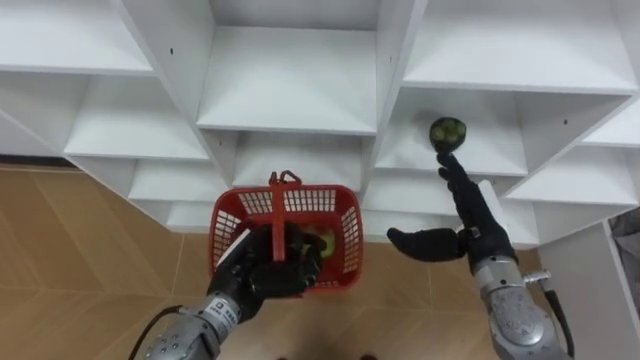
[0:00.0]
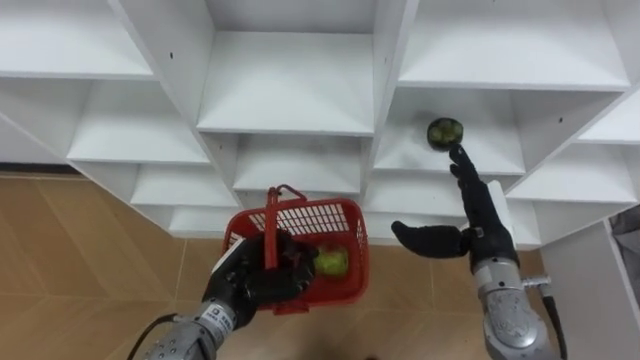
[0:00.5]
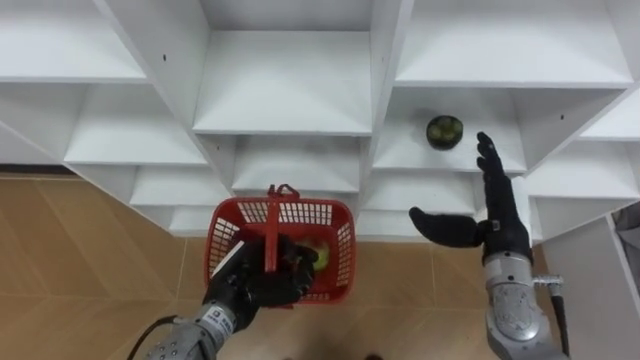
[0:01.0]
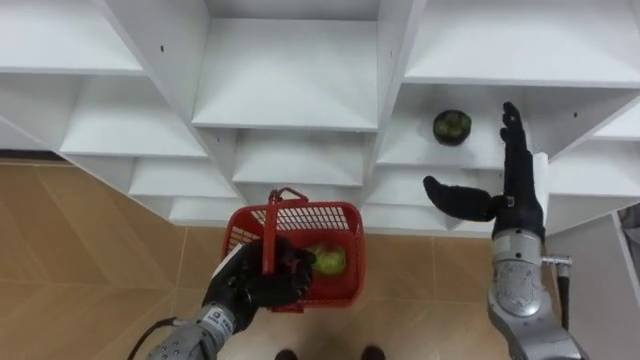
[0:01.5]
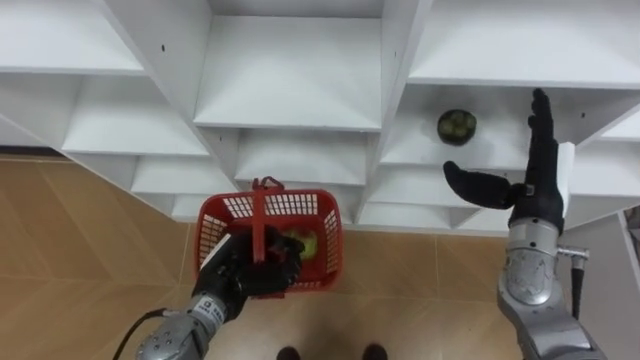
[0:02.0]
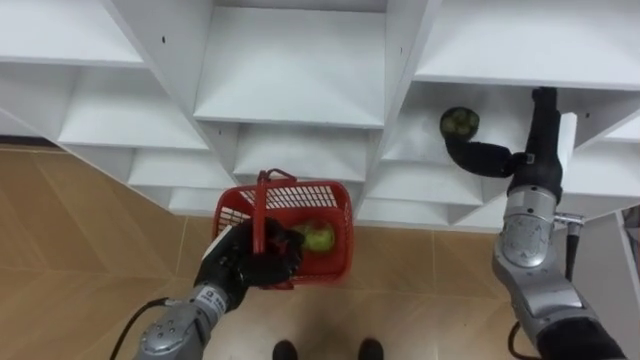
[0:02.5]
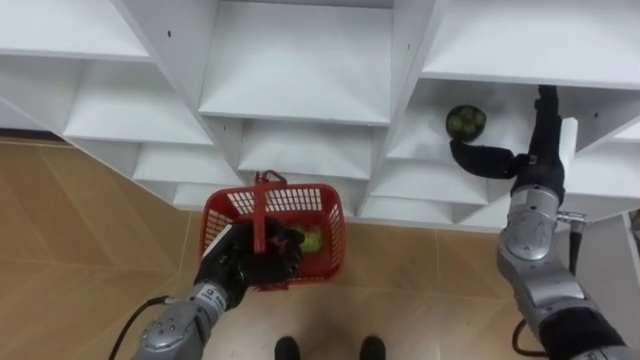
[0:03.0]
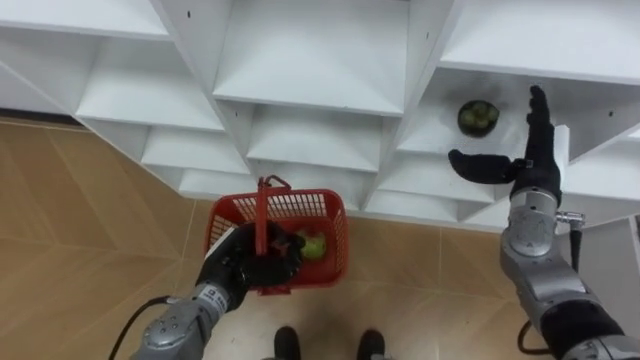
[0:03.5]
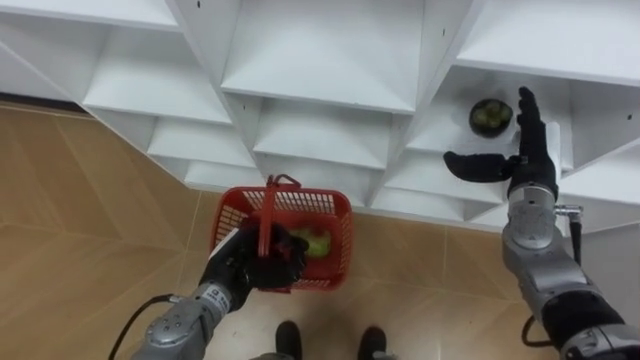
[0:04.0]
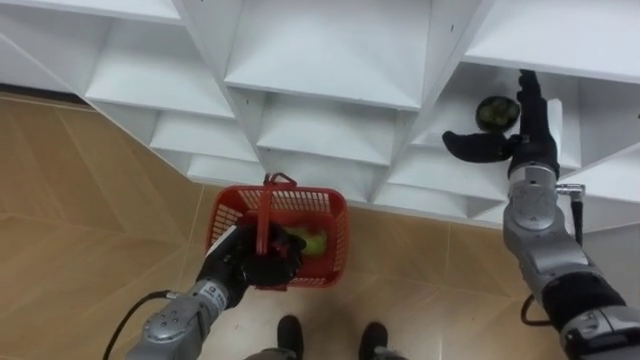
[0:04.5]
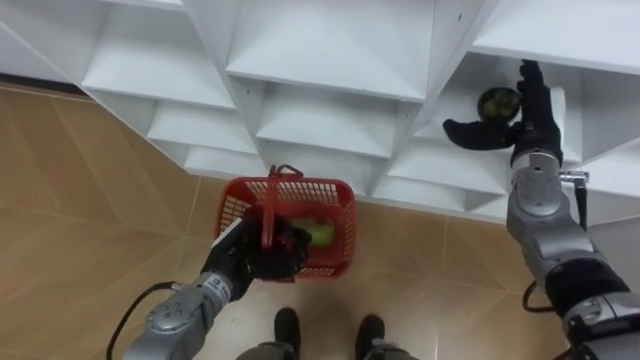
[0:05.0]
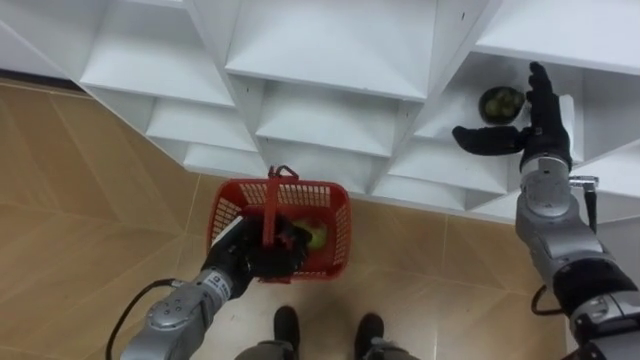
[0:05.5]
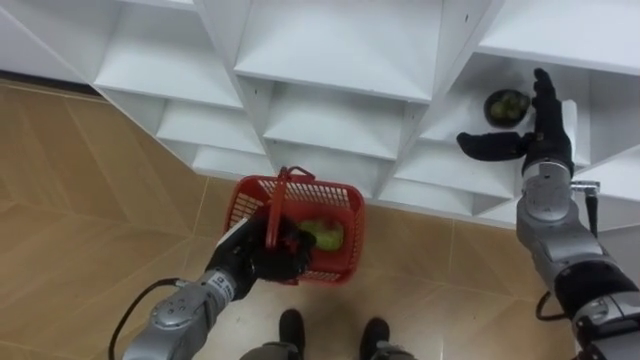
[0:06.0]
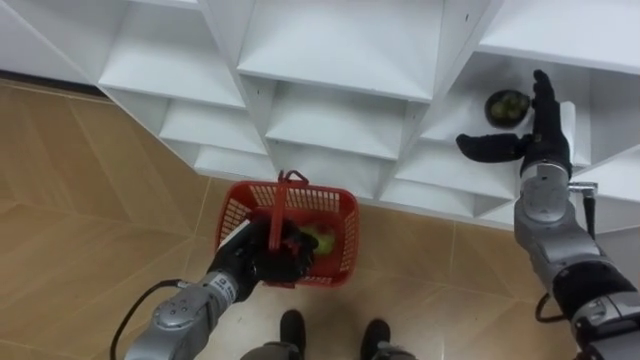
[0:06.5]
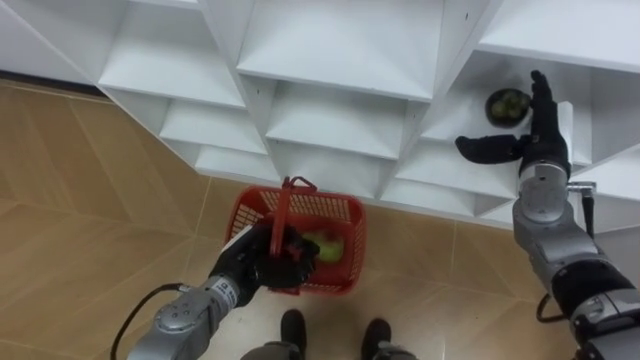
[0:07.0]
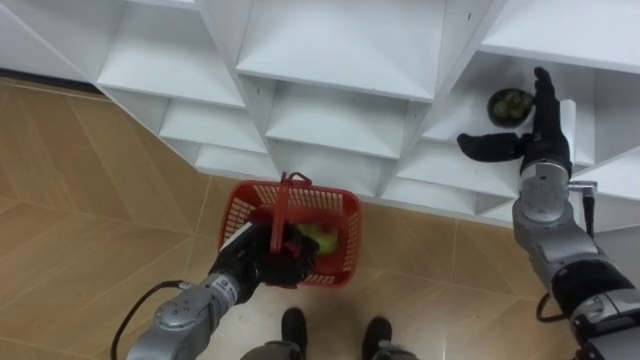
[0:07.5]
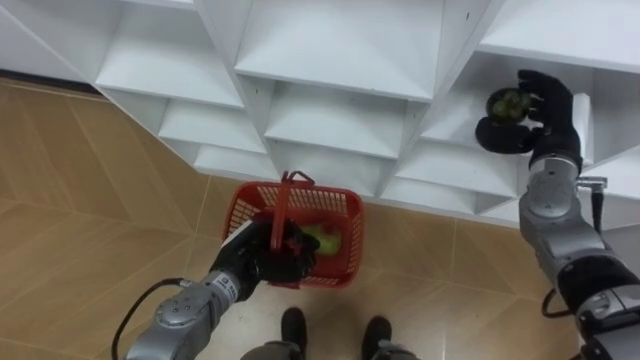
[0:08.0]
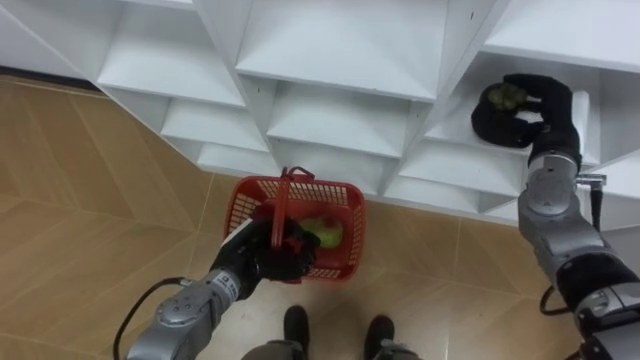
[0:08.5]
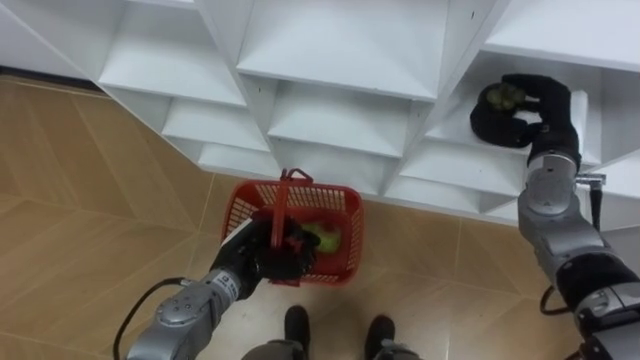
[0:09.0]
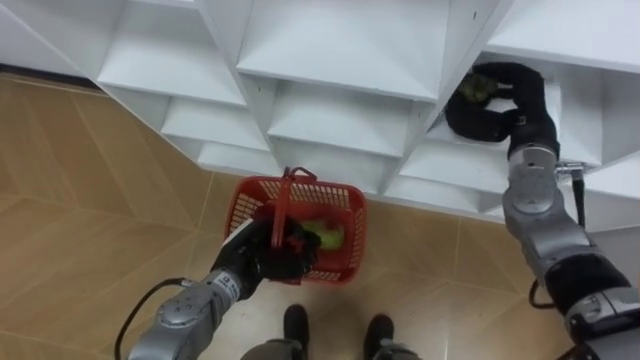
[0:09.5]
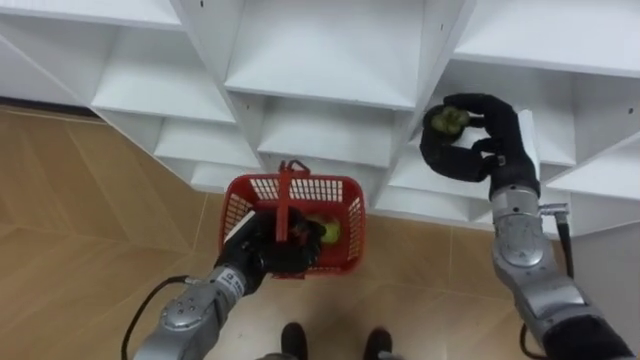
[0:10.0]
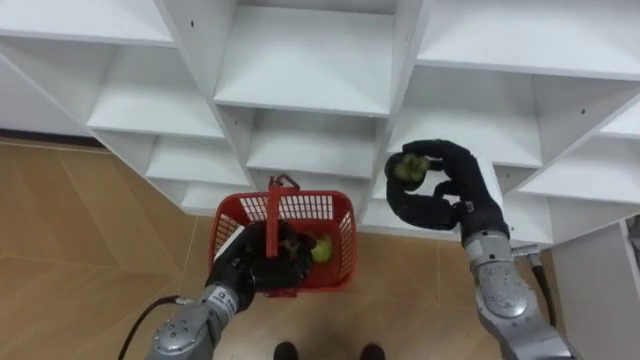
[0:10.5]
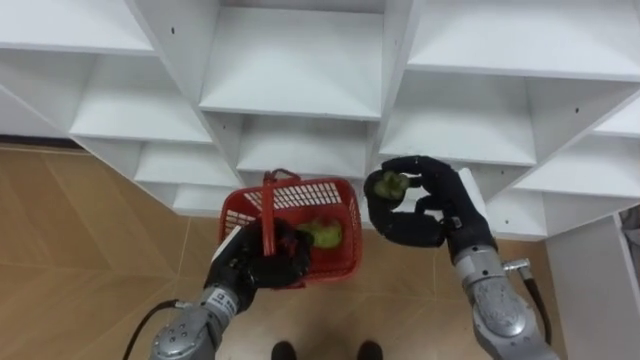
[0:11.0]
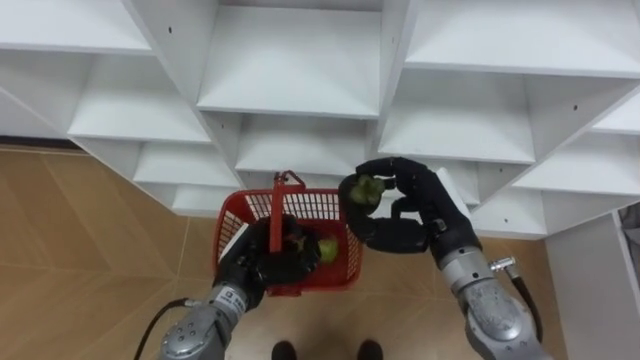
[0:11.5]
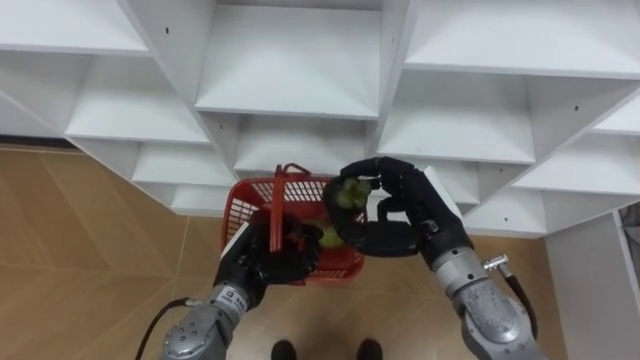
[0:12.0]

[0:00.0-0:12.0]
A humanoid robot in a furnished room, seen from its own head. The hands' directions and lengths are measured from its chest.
Task of the whole recording: Hold the basket and collect the fruits from 3 different cells of the closet into it.
0:00.0 to 0:02.0: The right hand is displaced to the right by some 5 cm.
0:02.0 to 0:04.0: The right hand travels forward by some 5 cm.
0:06.0 to 0:08.0: The two hands keep their place.
0:08.0 to 0:10.0: The right hand goes some 5 cm to the left, and closes.
0:10.0 to 0:12.0: The right hand goes about 15 cm to the left and backward.

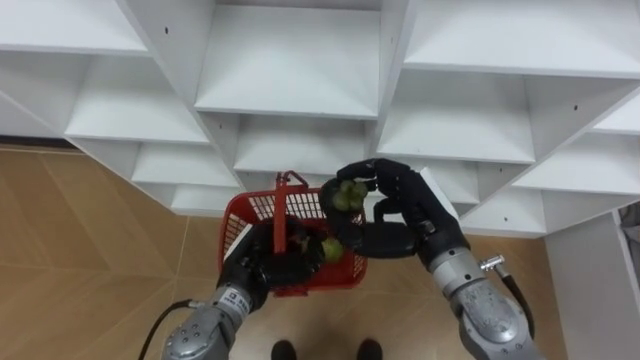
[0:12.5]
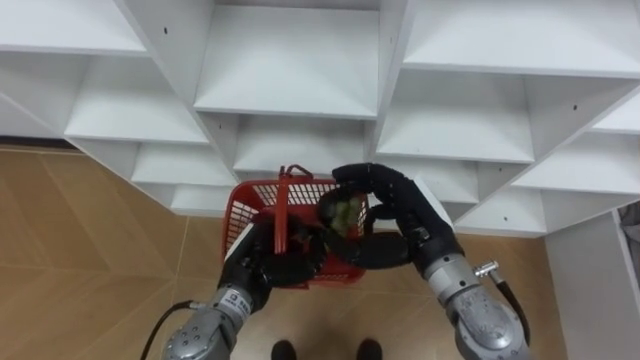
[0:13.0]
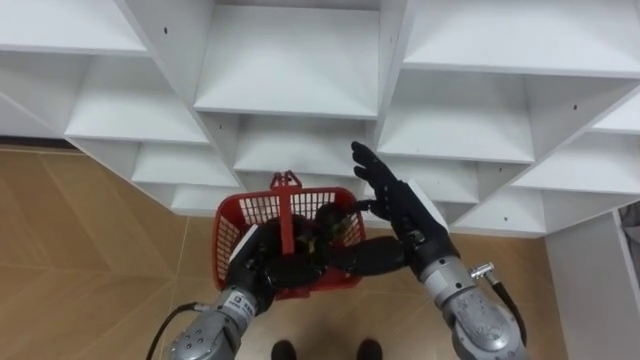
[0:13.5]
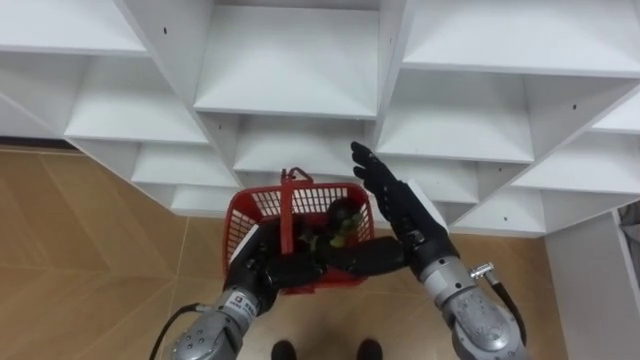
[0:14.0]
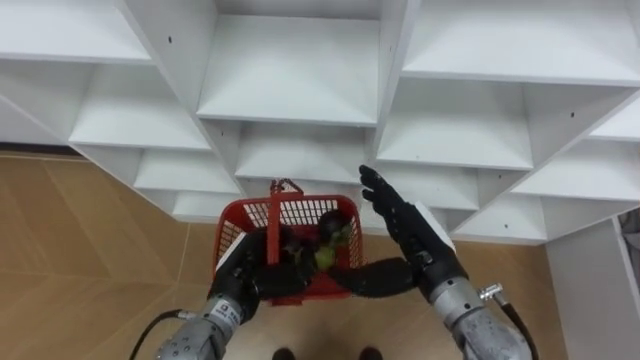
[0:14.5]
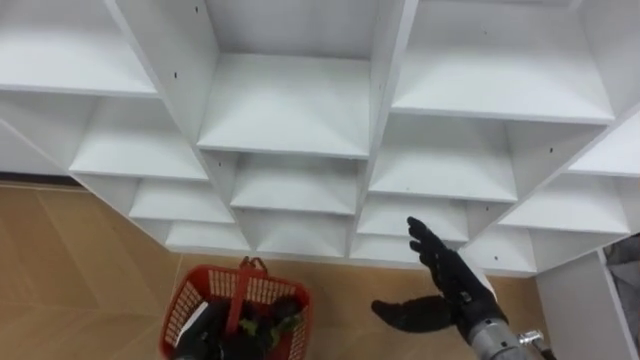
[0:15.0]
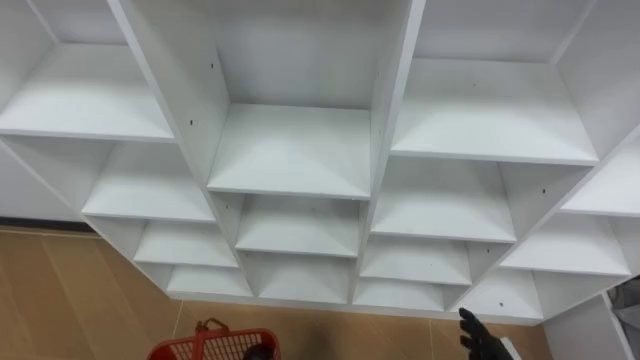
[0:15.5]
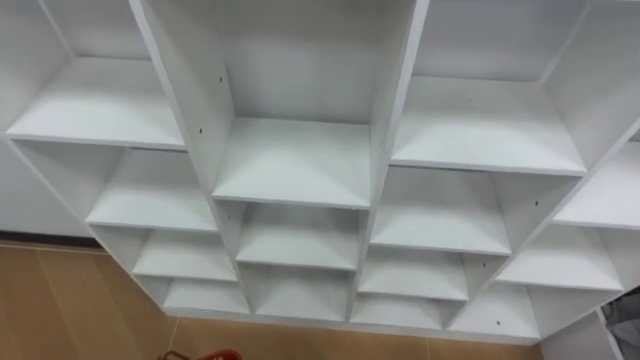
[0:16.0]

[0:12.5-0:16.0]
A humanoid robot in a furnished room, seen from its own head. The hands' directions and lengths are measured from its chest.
Task of the whole recording: Hold the basket and collect the fruits from 3 different cells of the closet into it.
0:12.5 to 0:14.5: The right hand opens its fingers.

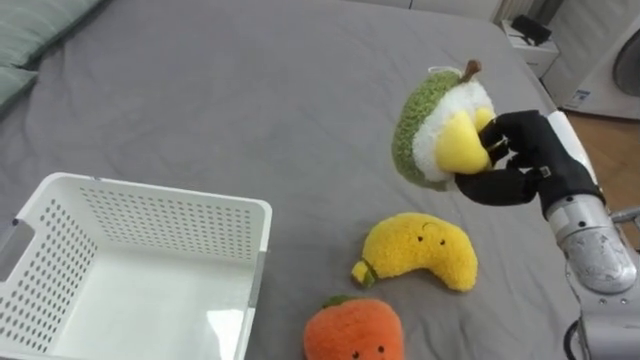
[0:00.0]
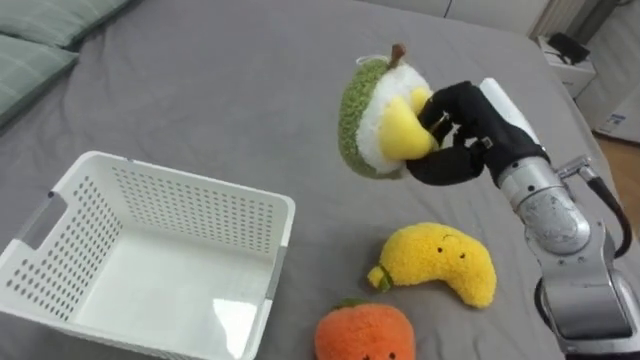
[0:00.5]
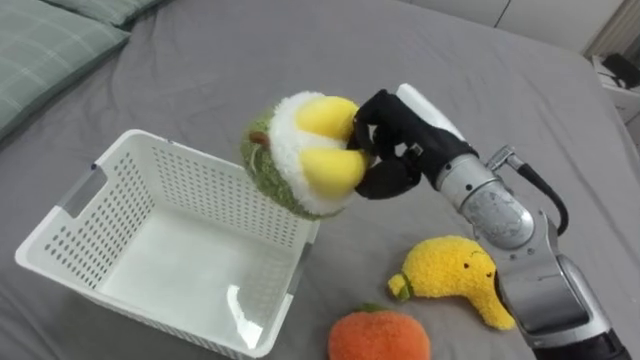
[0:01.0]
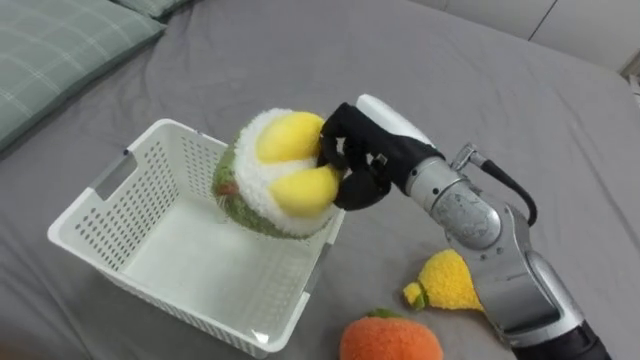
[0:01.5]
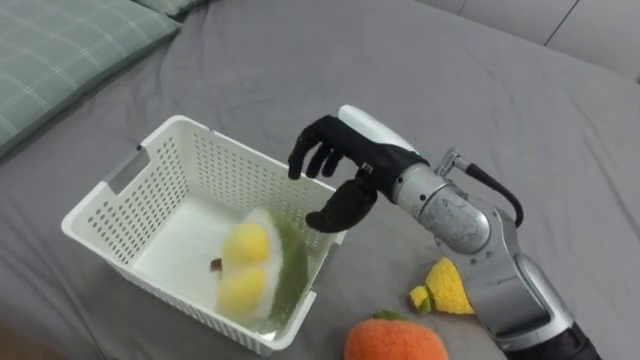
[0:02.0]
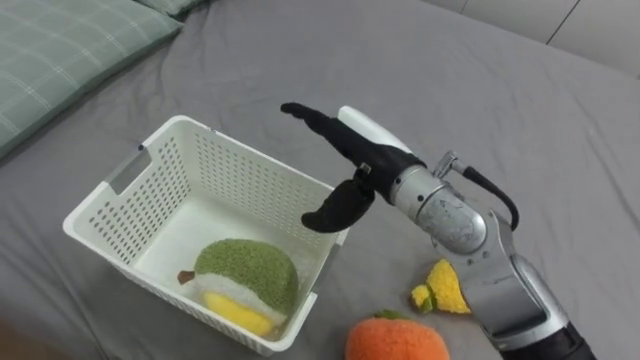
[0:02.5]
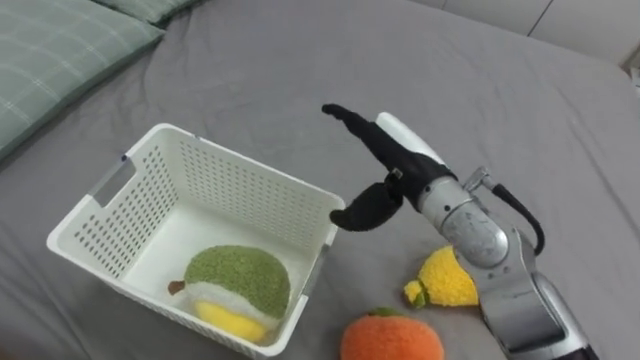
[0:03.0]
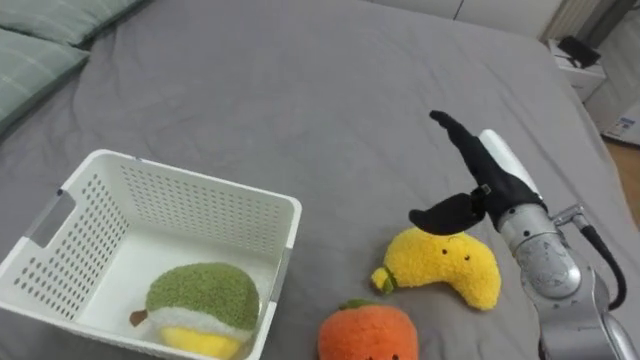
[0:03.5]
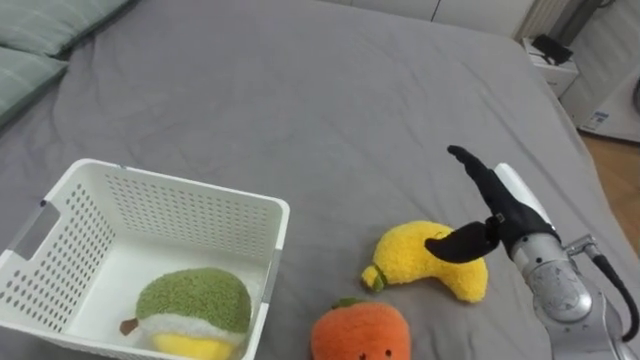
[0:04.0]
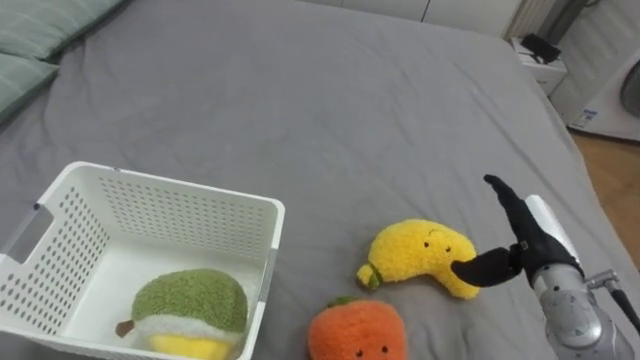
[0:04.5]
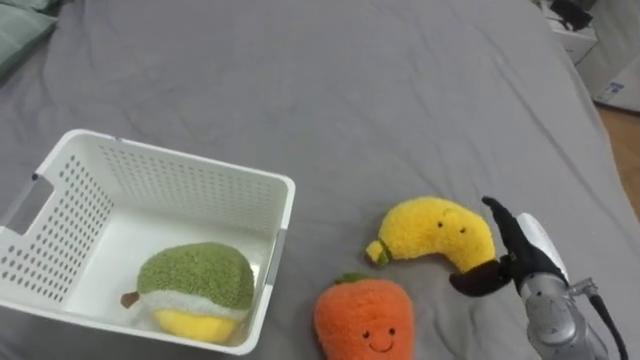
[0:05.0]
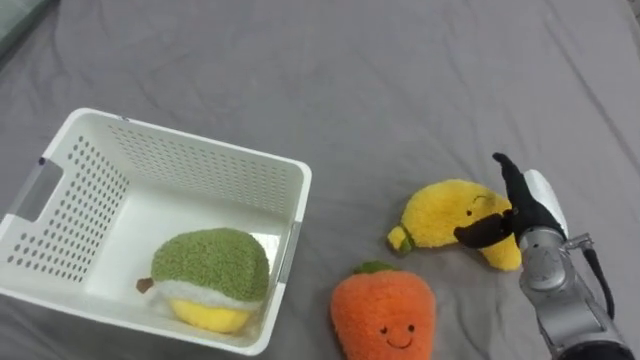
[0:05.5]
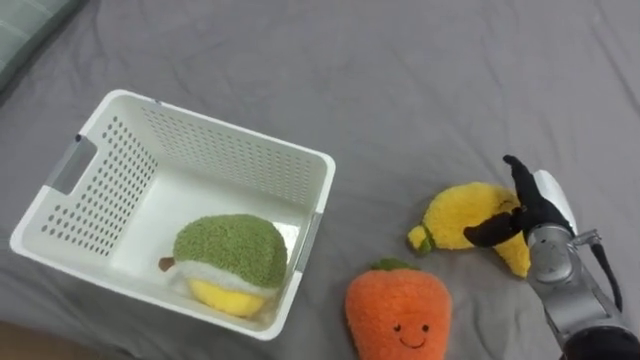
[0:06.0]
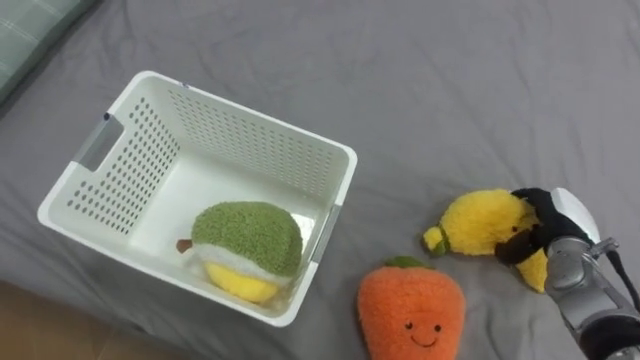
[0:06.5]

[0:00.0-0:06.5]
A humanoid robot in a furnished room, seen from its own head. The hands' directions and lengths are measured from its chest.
Task of the whole recording: Put the toys on the bed into the basket on the left.
0:00.0 to 0:02.0: The right hand travels to the left by roughly 20 cm, and opens up.
0:02.0 to 0:04.5: The right hand is displaced to the right and downward by roughly 25 cm, and opens up.
0:04.5 to 0:06.5: The right hand heads to the right and downward, covering some 10 cm.
